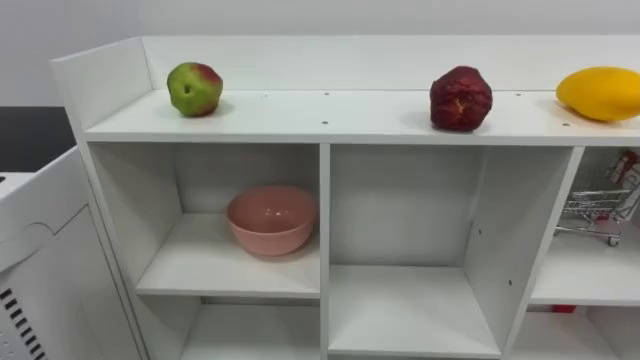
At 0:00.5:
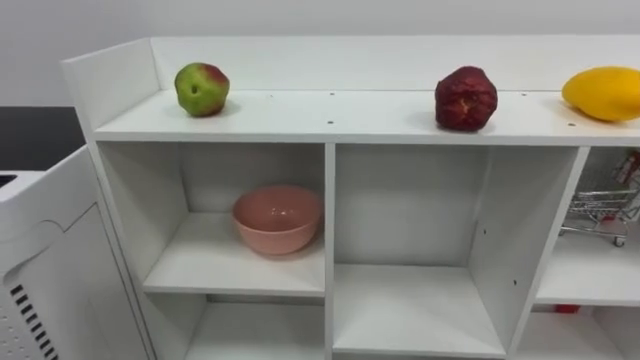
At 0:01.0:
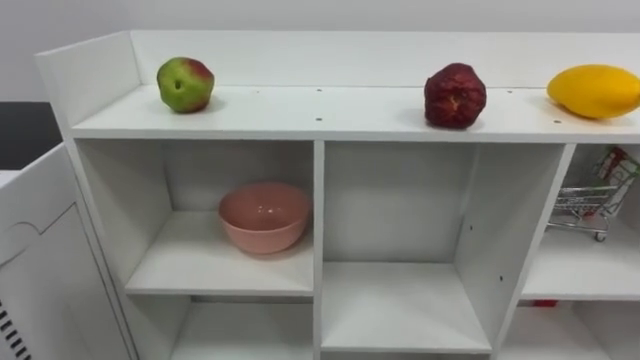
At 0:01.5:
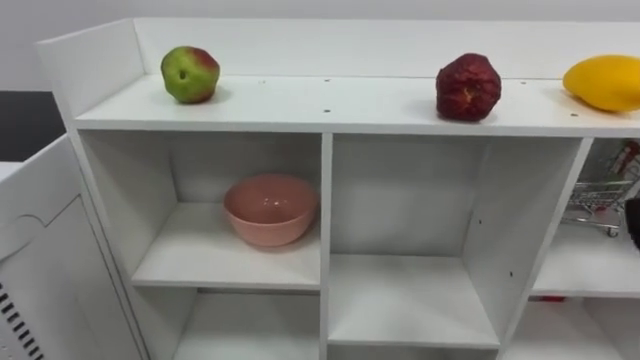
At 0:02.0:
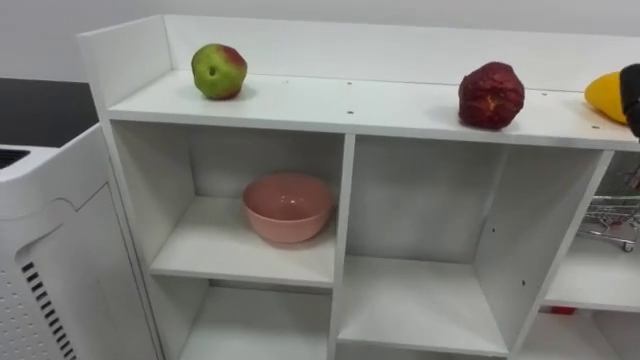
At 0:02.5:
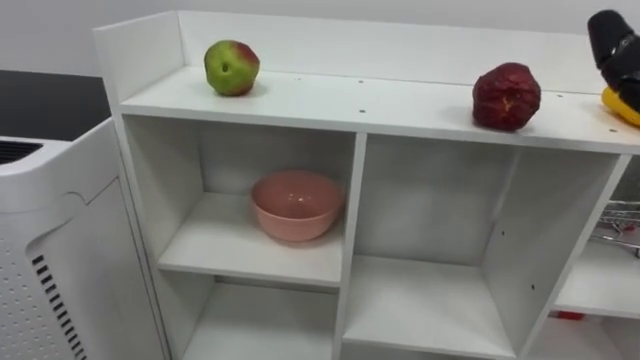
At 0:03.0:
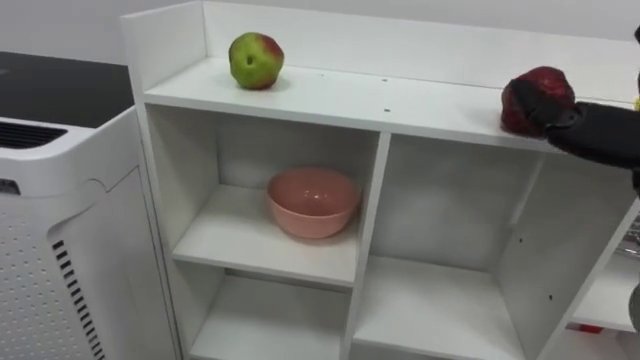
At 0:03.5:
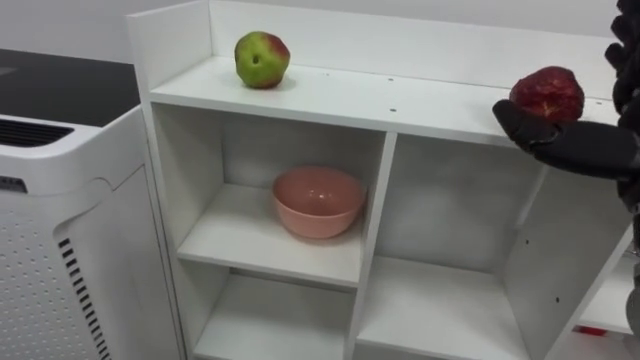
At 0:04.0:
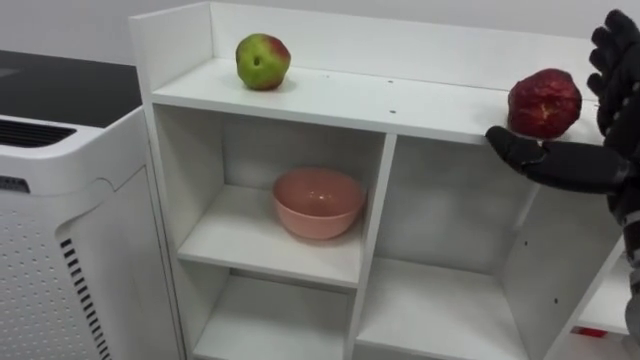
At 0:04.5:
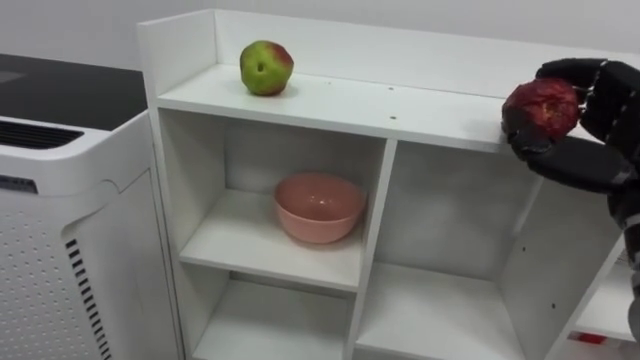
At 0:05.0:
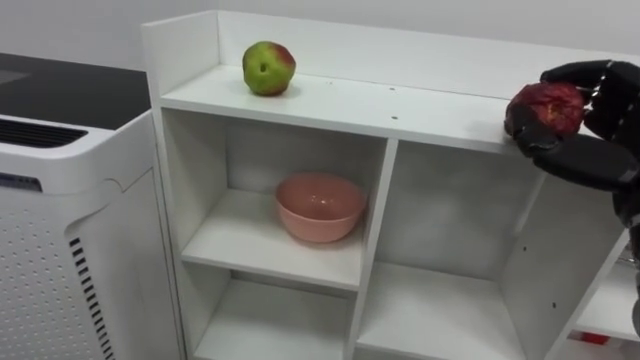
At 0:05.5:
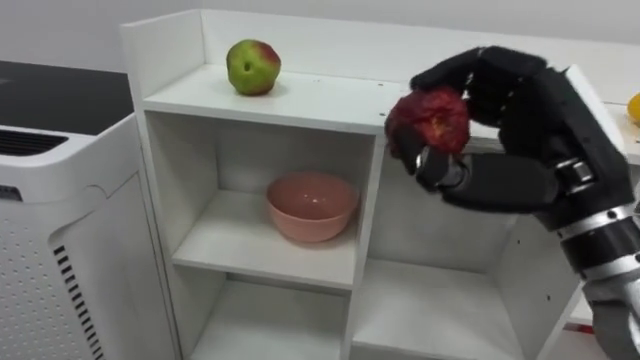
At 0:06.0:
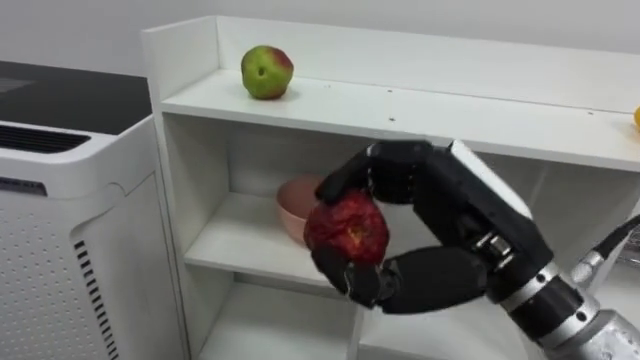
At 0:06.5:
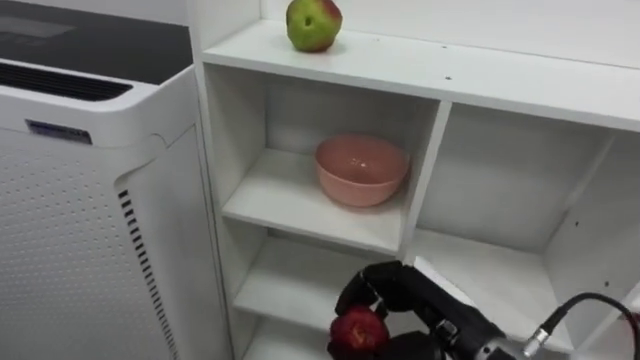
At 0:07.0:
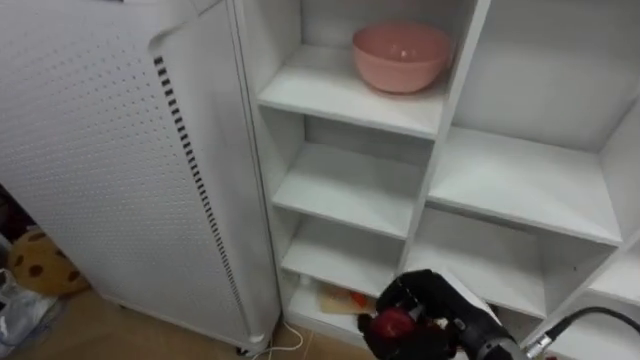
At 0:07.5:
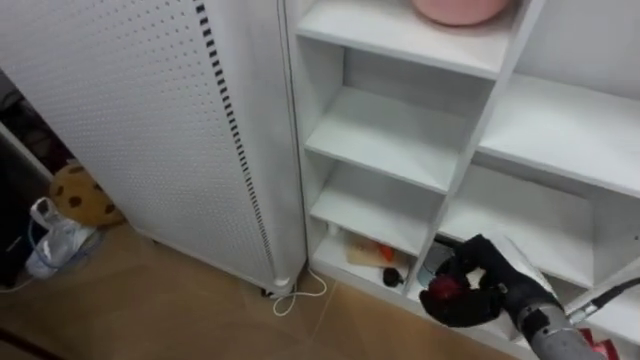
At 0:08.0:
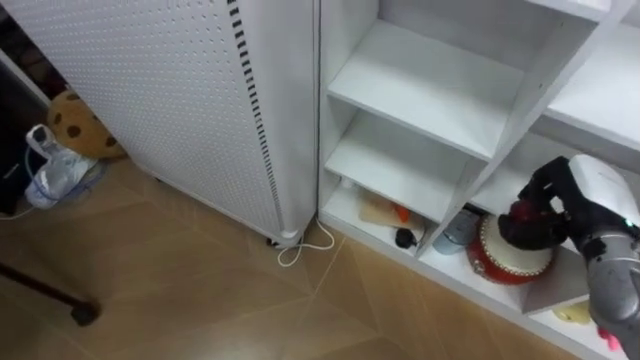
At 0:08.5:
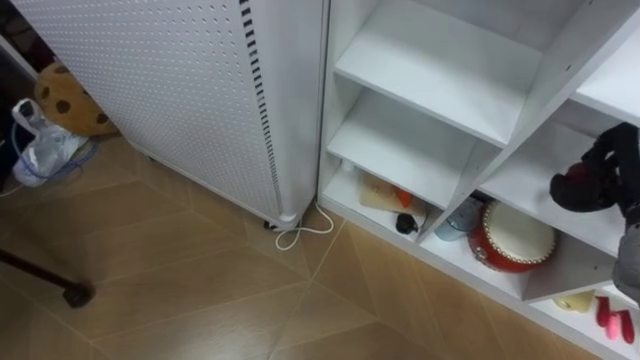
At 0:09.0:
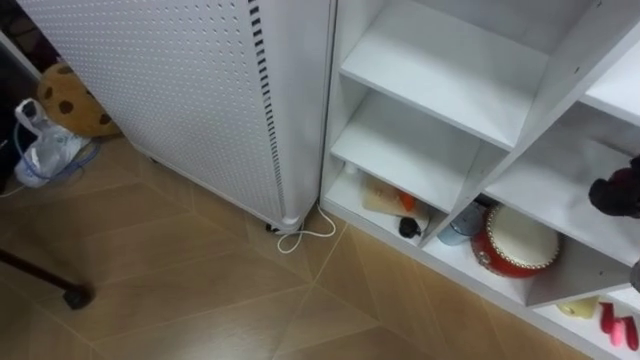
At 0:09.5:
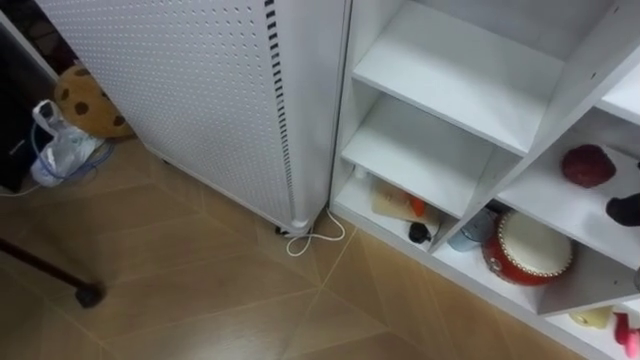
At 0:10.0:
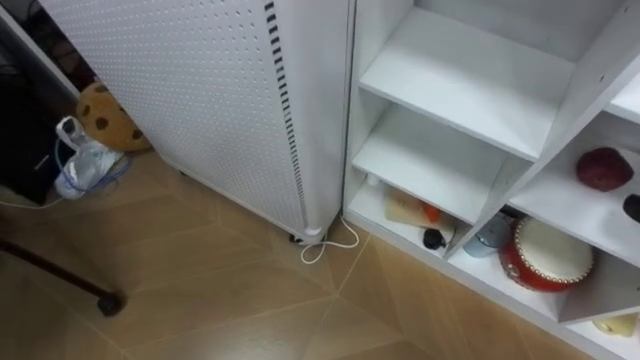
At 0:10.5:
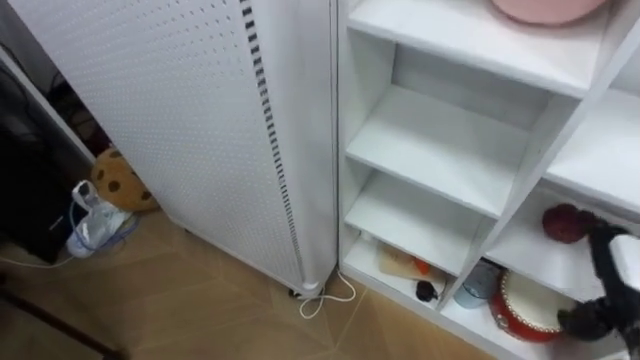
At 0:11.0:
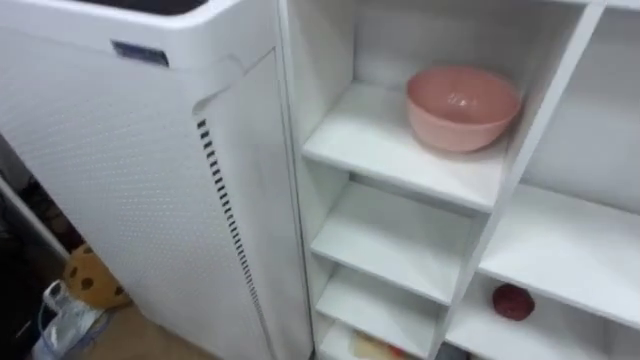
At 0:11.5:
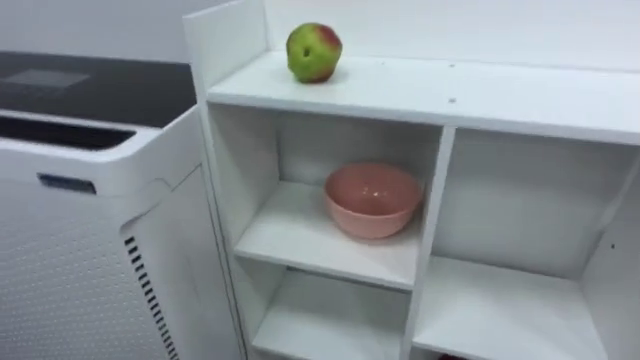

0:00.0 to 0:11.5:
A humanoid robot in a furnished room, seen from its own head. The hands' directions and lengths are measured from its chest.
Task of the whole recording: Put the apple in the cell in the second column from the left and the second row from the top.
0:04.0 to 0:06.0: The right hand is displaced to the left by roughly 15 cm, and closes.
0:06.0 to 0:07.5: The right hand shifts some 25 cm downward, to the right and forward.

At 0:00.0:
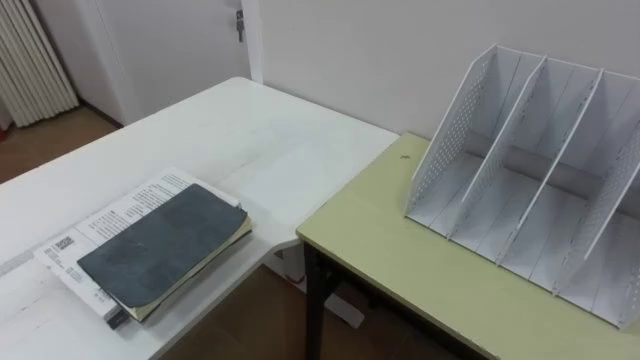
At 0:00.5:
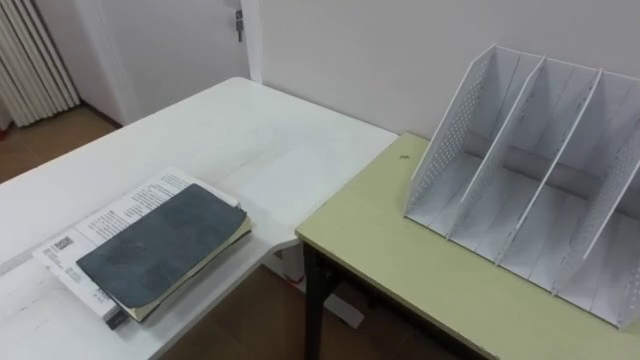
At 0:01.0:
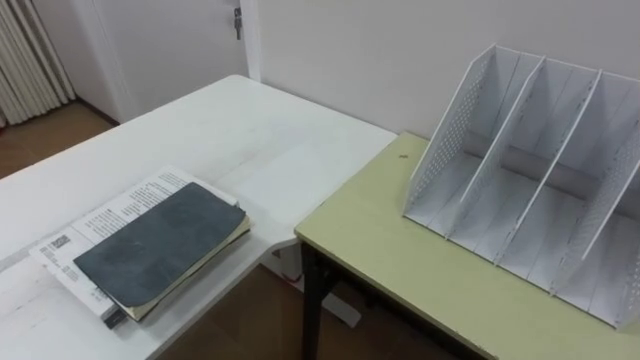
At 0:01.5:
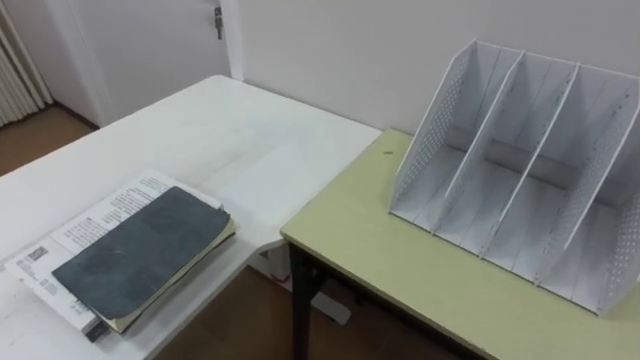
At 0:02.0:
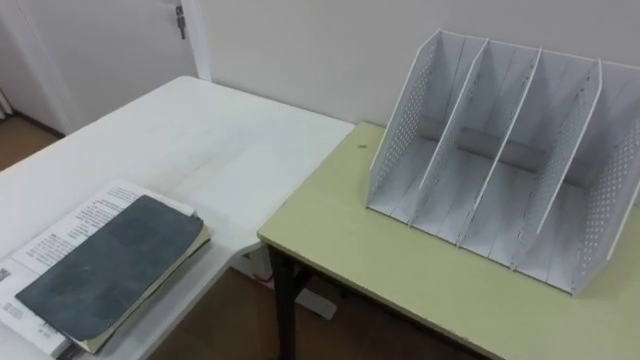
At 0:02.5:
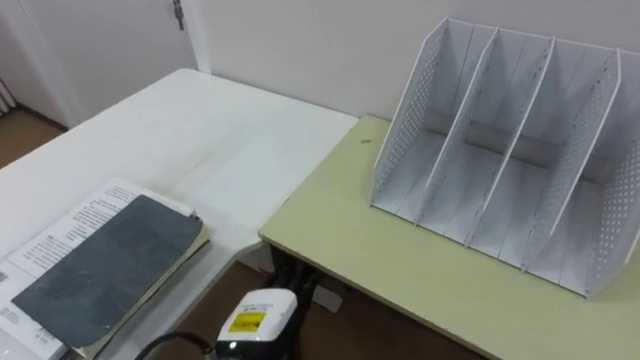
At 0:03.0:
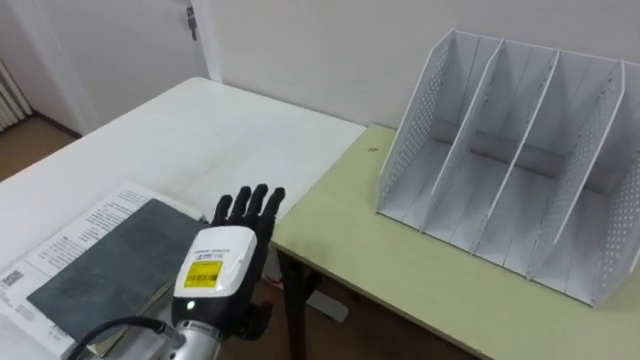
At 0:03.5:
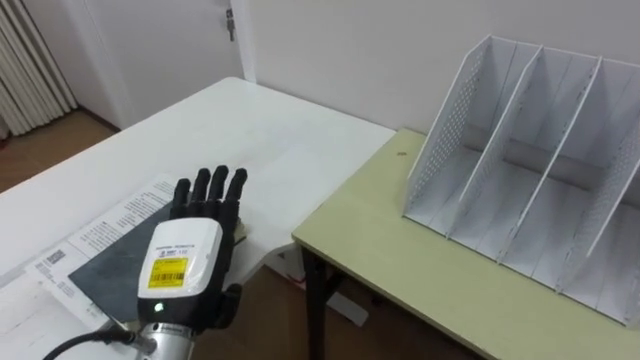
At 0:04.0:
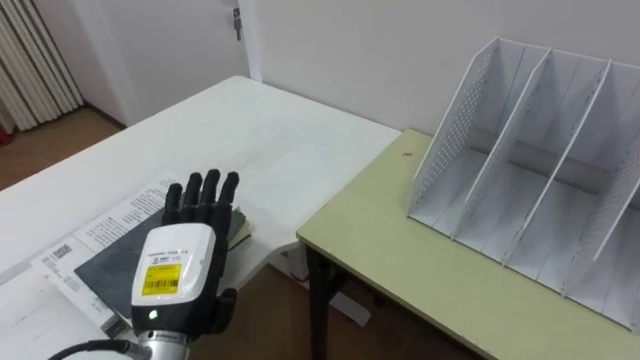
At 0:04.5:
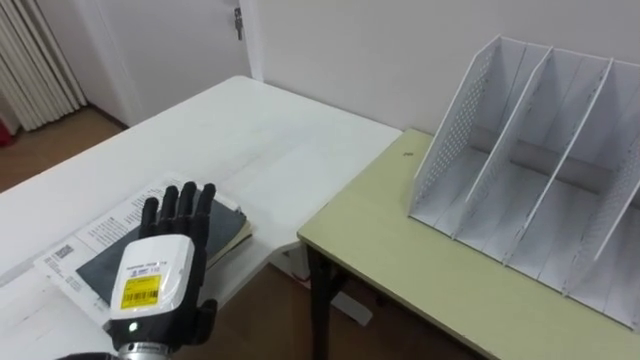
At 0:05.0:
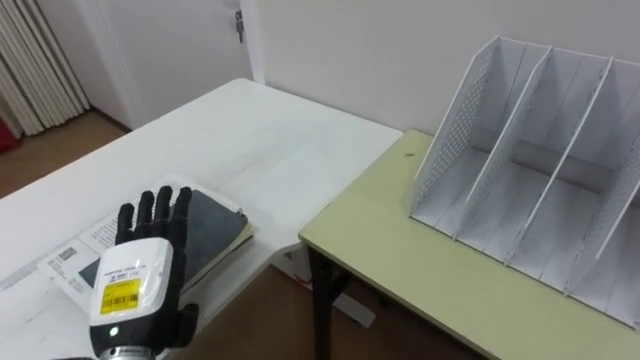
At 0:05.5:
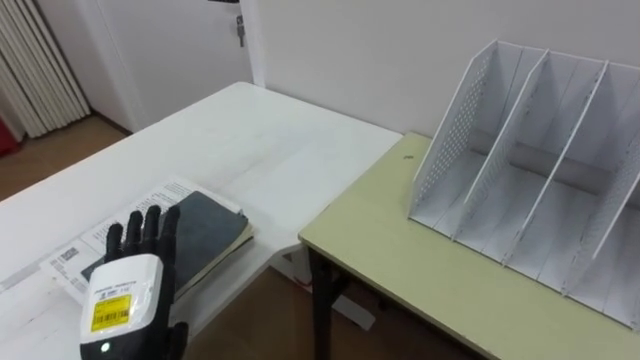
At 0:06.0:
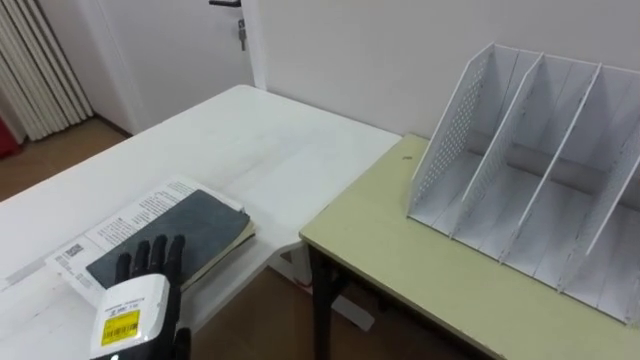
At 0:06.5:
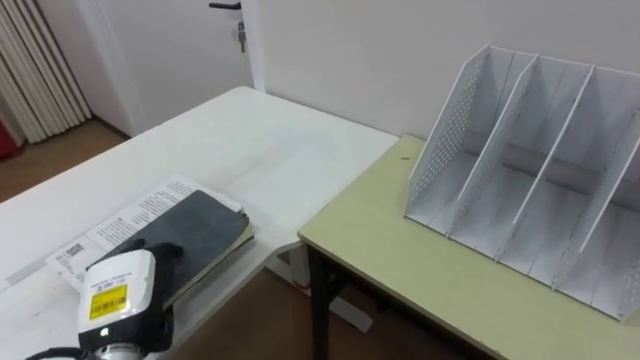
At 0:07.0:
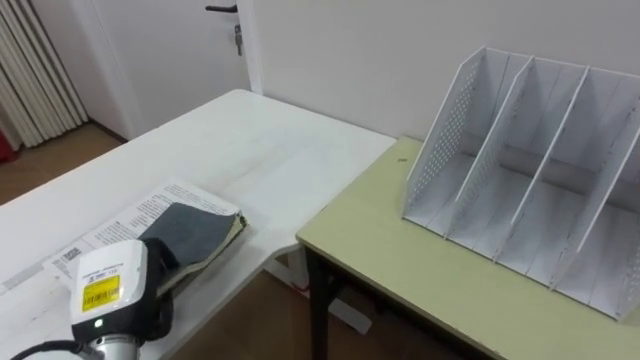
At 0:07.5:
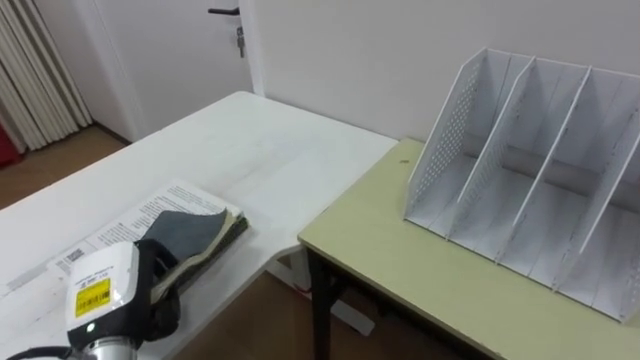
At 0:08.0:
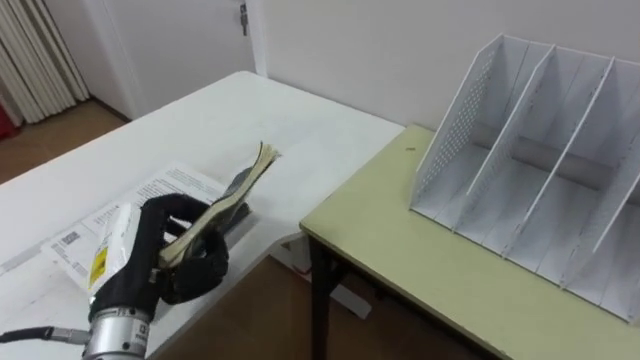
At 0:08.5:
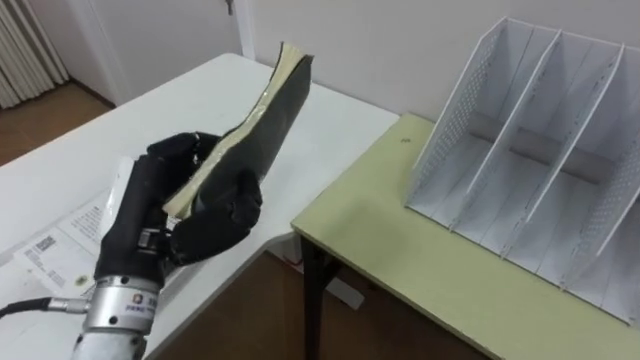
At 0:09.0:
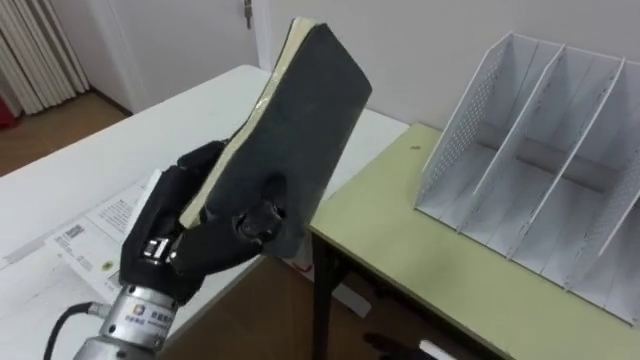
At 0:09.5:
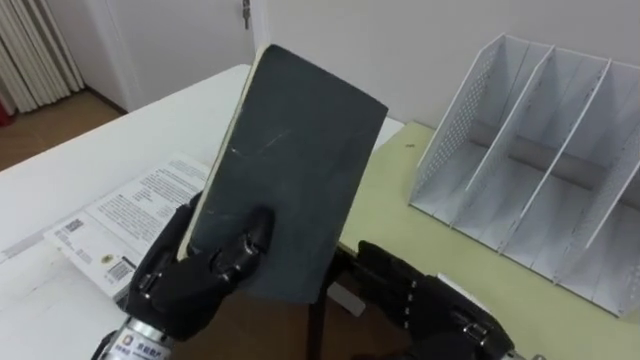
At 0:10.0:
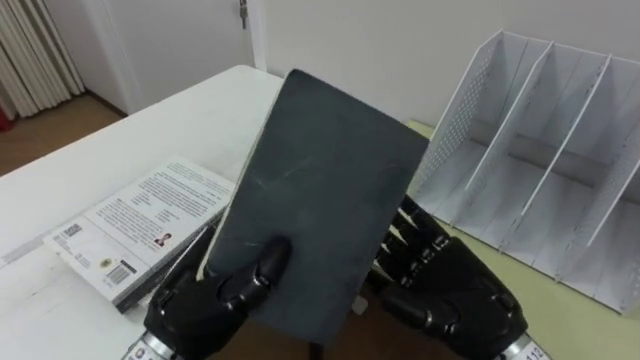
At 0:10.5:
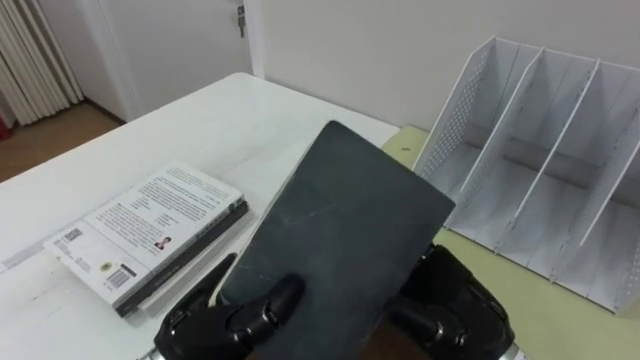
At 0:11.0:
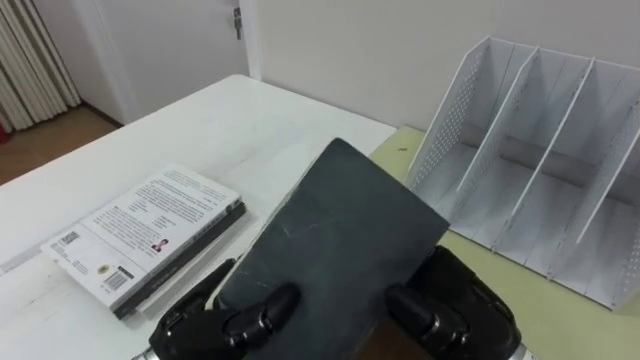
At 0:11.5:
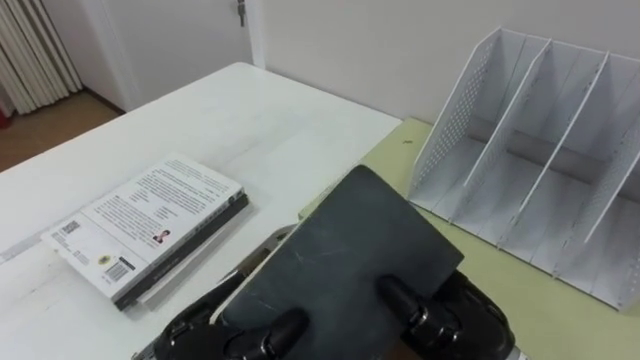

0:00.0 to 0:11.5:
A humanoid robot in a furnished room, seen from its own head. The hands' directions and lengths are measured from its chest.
Task of the whole recording: Put the books on the table onto the bookshelf.
0:04.0 to 0:06.0: The left hand shifts approximately 10 cm downward and to the left.
0:06.0 to 0:07.5: The left hand closes its fingers.
0:07.5 to 0:09.5: The left hand shifts roughly 10 cm to the right and upward.
0:09.5 to 0:11.5: The right hand shifts about 5 cm upward, and closes up; the left hand travels downward by approximately 5 cm.
